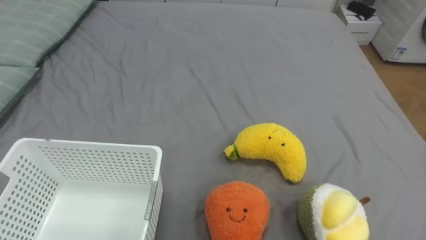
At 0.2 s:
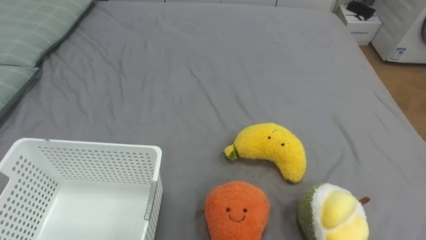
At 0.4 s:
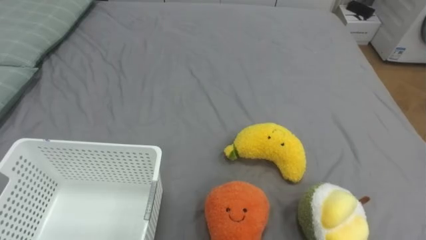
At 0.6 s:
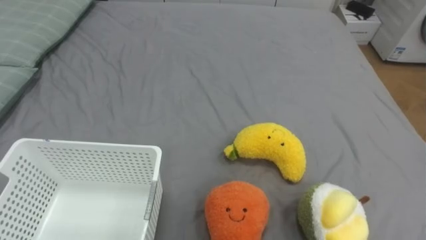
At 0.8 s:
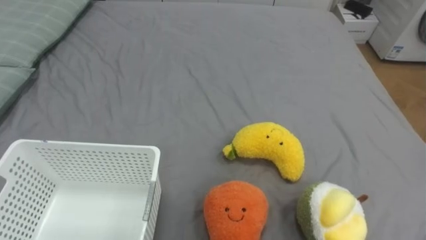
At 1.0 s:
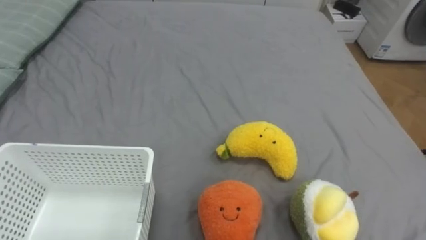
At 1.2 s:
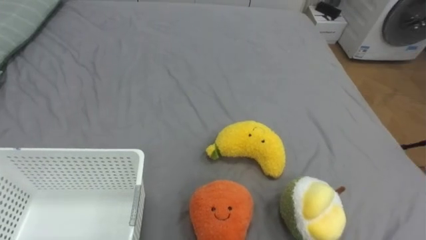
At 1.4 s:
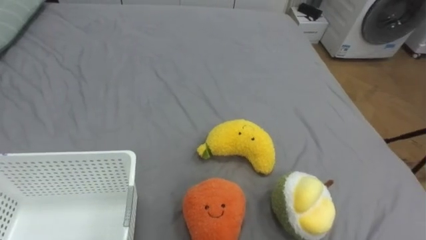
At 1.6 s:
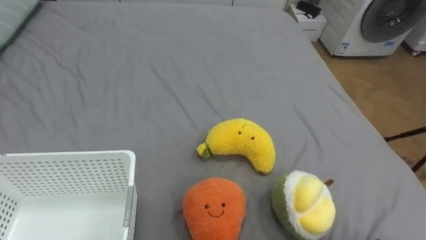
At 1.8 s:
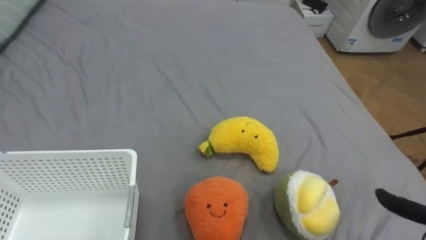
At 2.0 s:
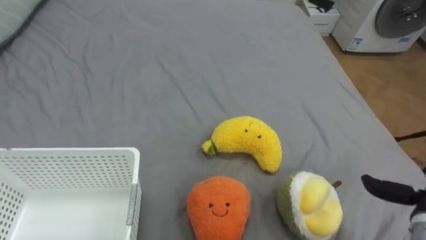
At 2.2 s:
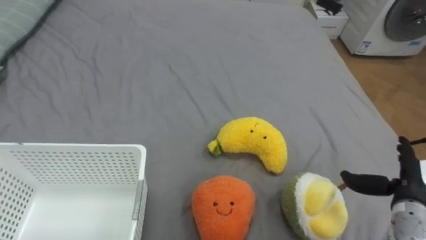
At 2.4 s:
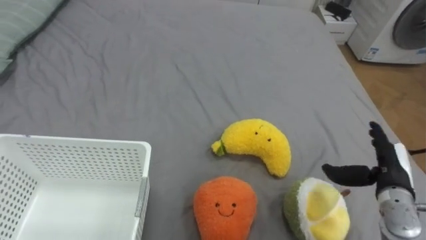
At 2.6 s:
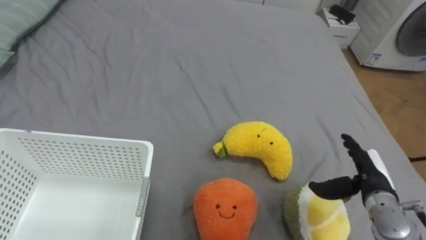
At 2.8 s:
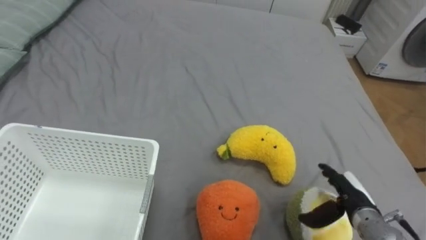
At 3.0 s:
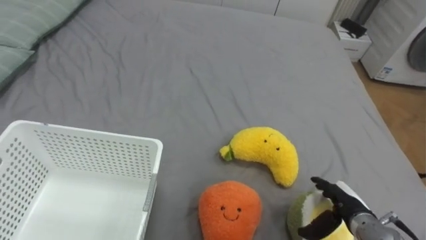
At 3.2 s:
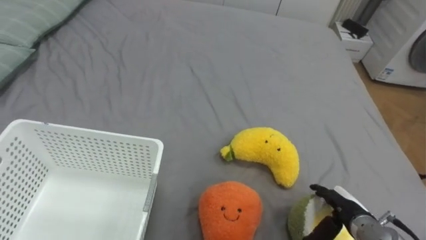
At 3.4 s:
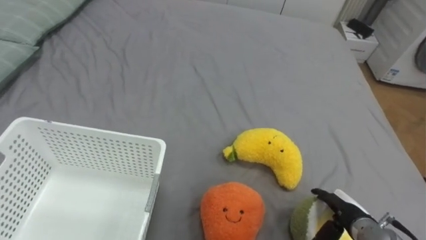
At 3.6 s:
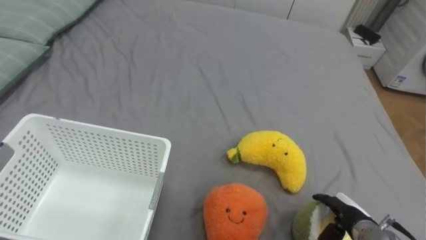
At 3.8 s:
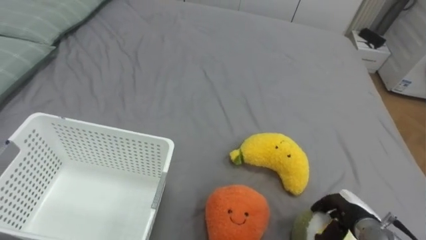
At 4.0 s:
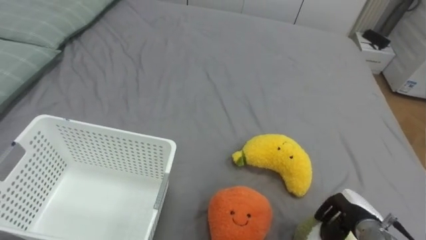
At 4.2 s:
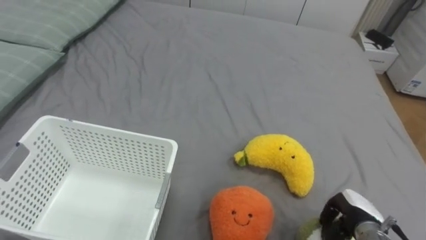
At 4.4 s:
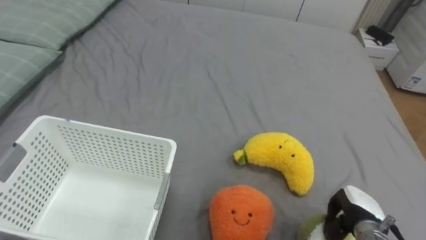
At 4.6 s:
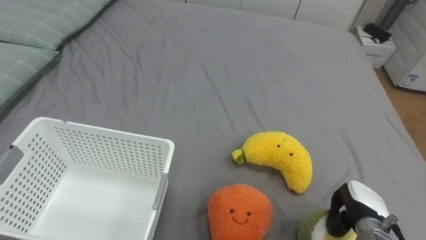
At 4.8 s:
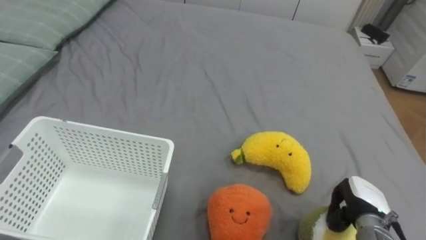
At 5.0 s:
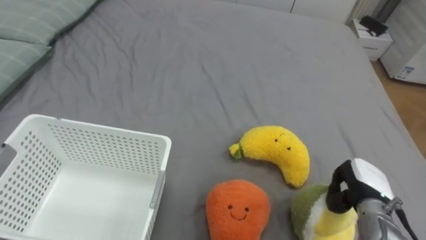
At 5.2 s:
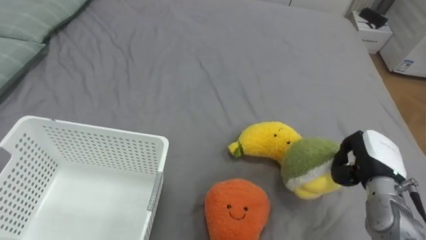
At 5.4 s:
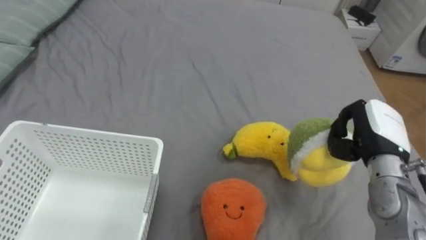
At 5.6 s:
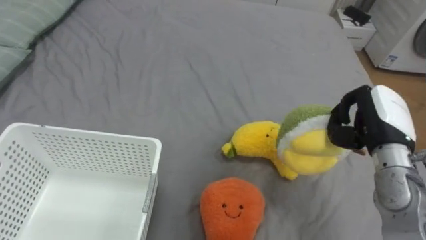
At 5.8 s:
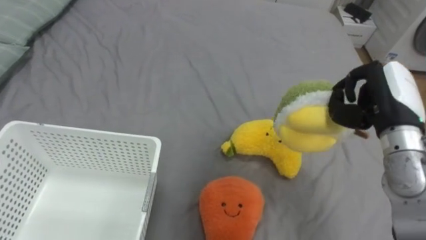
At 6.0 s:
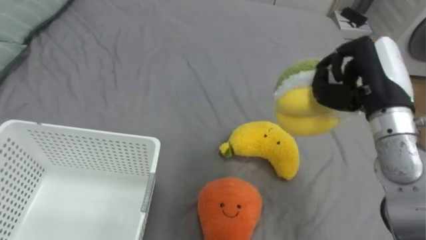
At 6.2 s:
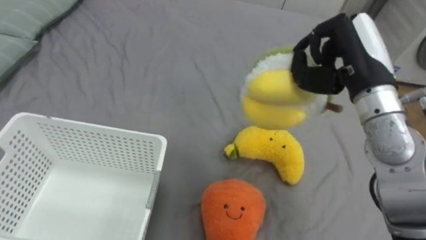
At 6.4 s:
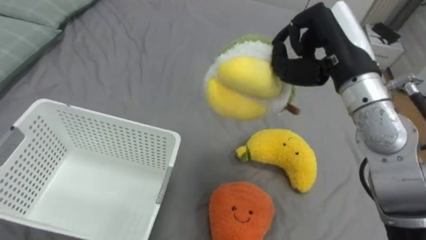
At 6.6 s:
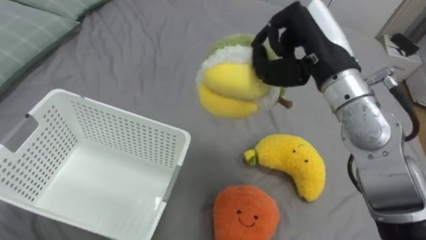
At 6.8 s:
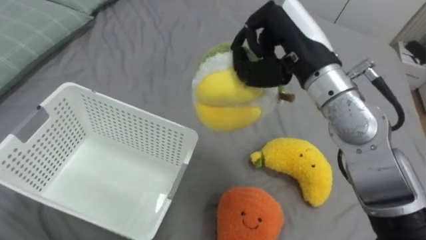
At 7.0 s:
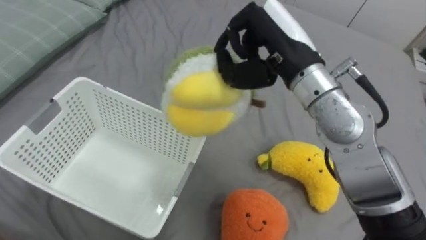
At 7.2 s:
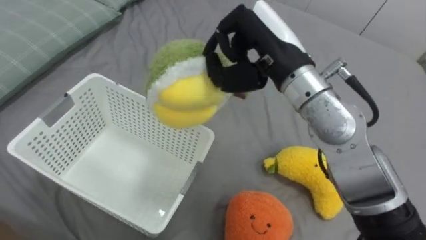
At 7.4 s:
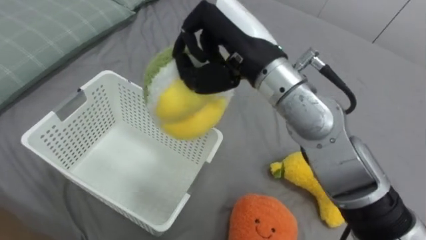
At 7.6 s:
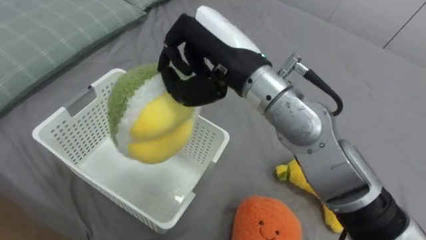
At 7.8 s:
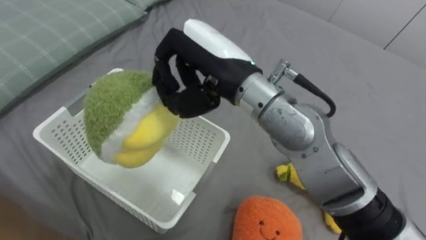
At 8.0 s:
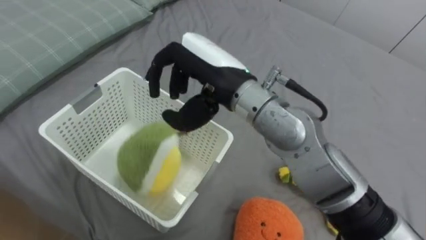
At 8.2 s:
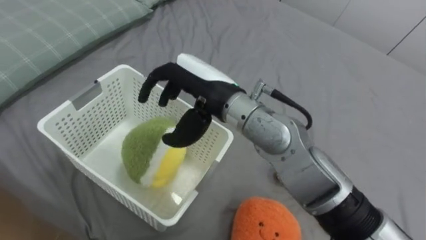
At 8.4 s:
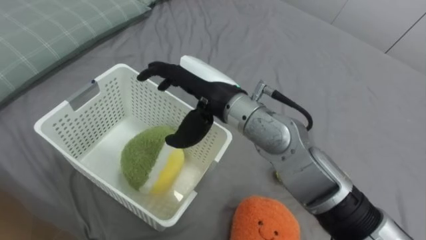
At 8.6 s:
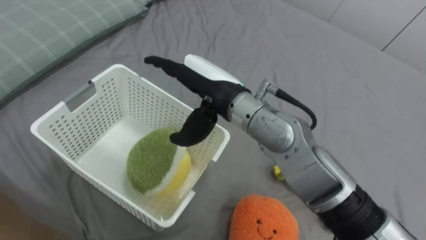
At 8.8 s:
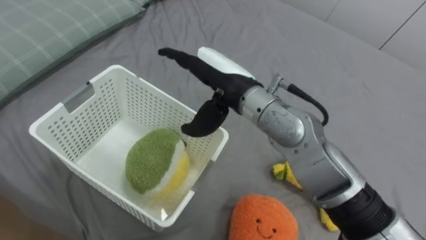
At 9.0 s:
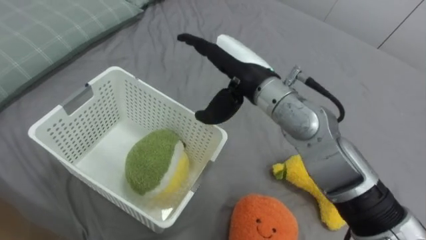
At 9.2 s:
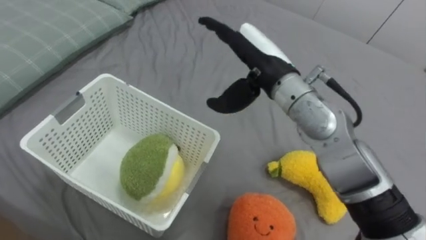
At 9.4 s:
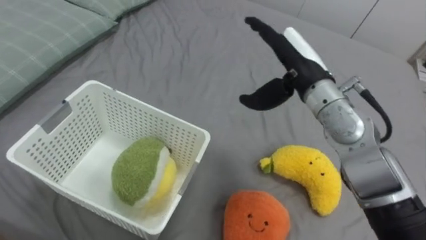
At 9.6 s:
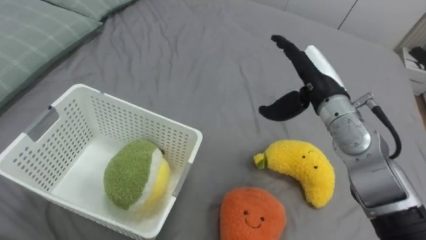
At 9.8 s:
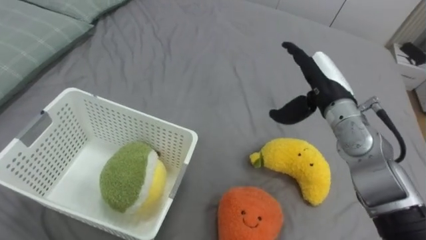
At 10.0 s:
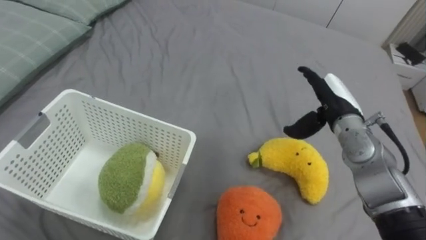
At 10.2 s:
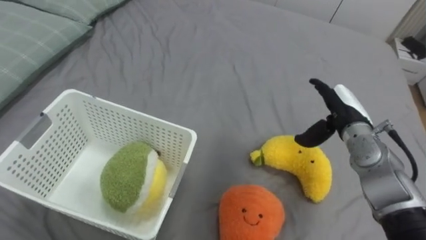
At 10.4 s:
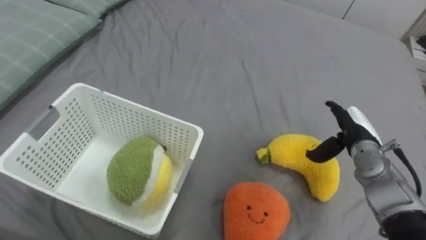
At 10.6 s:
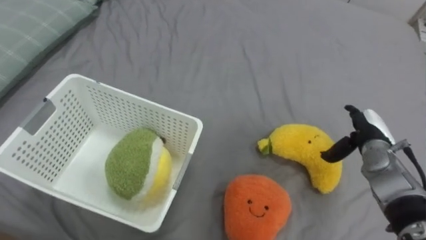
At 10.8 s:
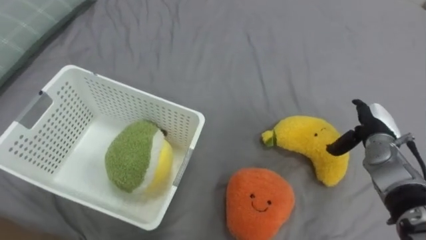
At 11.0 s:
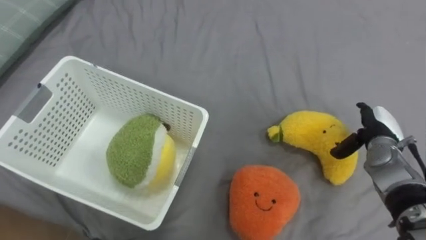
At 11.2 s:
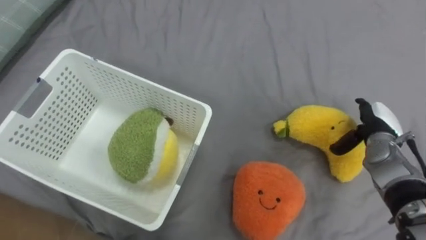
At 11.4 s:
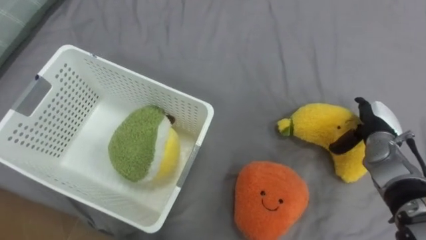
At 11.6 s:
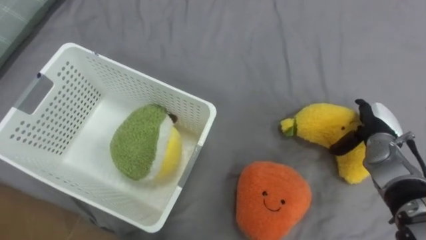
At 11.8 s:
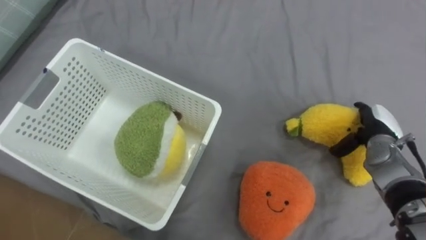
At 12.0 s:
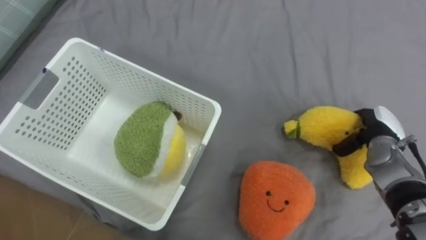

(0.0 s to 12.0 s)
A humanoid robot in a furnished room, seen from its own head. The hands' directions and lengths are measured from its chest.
Task of the whole recording: Put the toys on the bed into the basket on the left.
3.0 s - 4.4 s: The right hand closes its fingers.
4.4 s - 6.0 s: The right hand moves upward, approximately 25 cm.
6.0 s - 7.6 s: The right hand goes roughly 25 cm to the left.
7.6 s - 9.0 s: The right hand heads downward, covering some 5 cm, and opens its fingers.
9.0 s - 10.4 s: The right hand travels to the right and downward by some 30 cm.
10.4 s - 12.0 s: The right hand shifts roughly 5 cm to the right.

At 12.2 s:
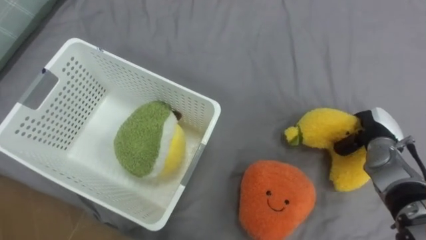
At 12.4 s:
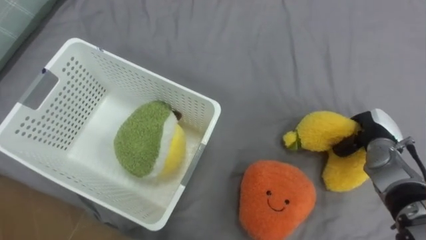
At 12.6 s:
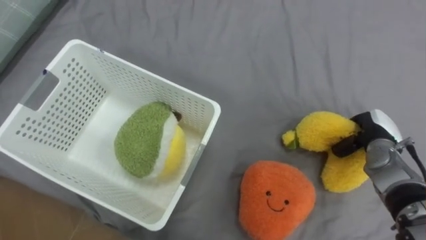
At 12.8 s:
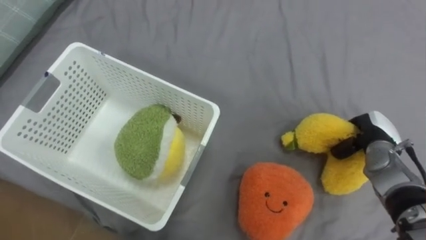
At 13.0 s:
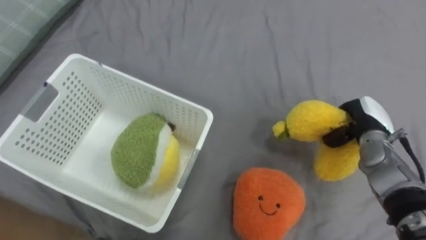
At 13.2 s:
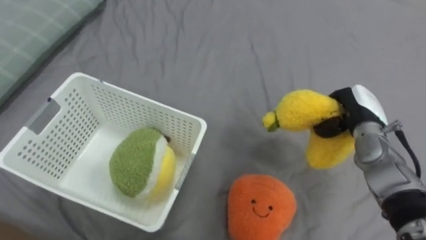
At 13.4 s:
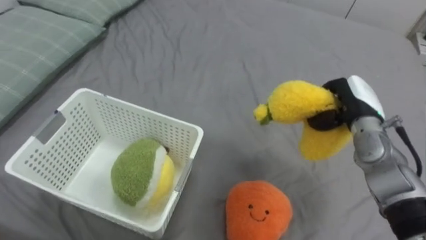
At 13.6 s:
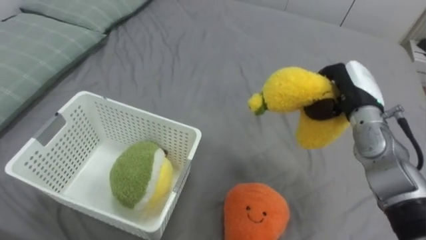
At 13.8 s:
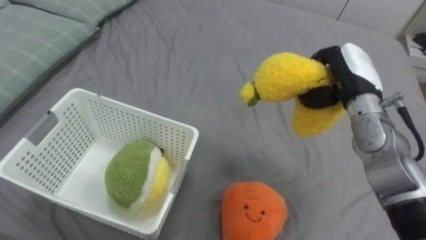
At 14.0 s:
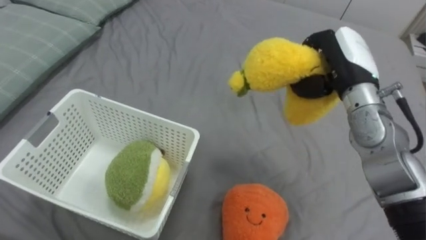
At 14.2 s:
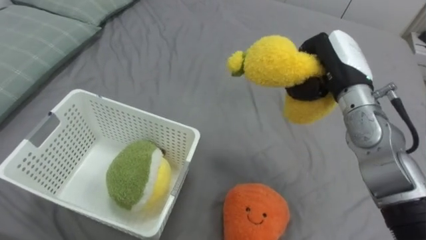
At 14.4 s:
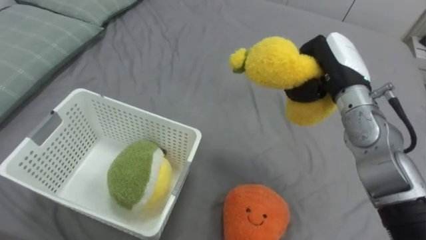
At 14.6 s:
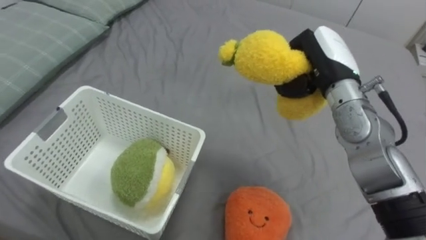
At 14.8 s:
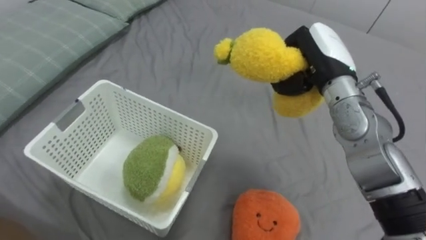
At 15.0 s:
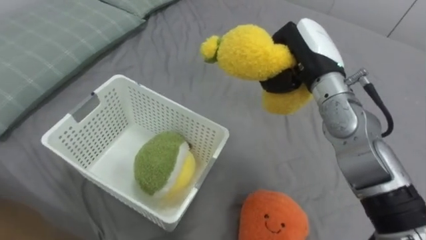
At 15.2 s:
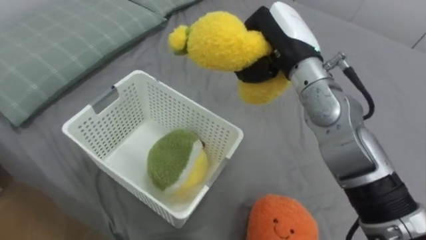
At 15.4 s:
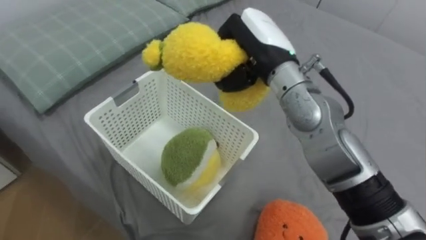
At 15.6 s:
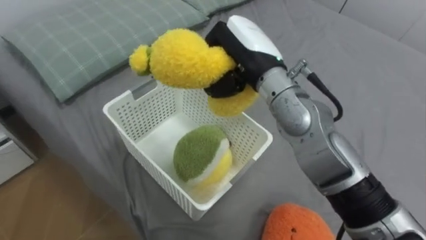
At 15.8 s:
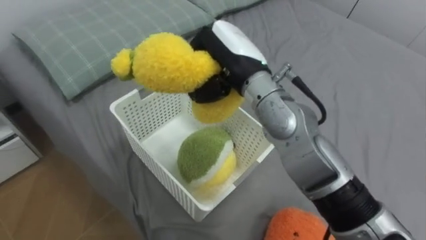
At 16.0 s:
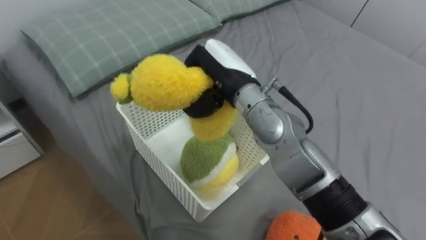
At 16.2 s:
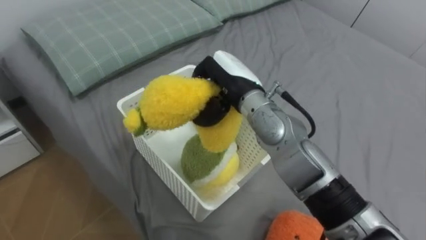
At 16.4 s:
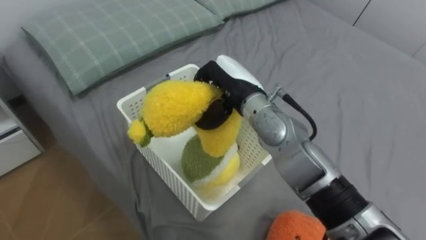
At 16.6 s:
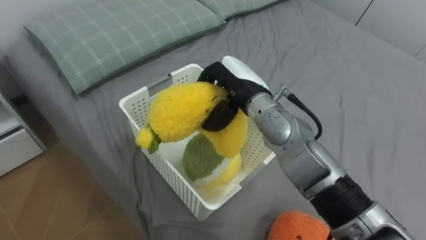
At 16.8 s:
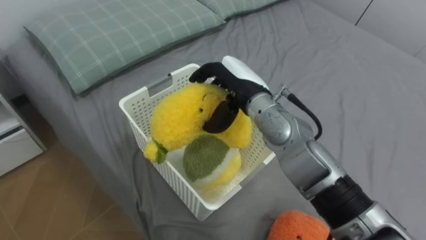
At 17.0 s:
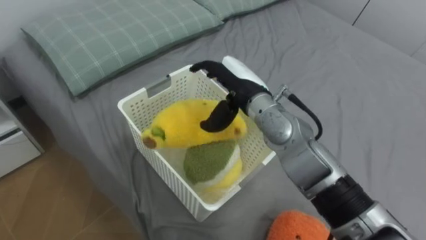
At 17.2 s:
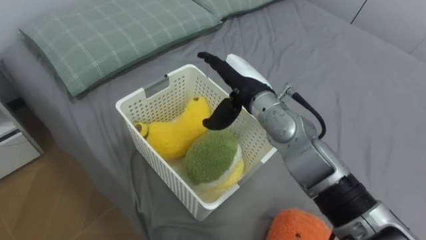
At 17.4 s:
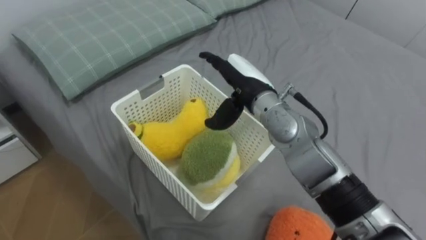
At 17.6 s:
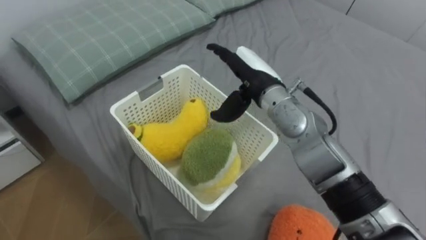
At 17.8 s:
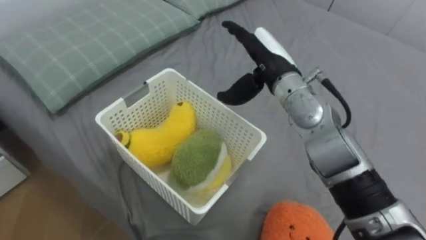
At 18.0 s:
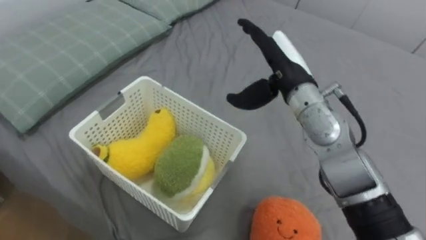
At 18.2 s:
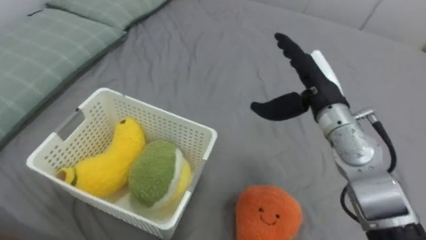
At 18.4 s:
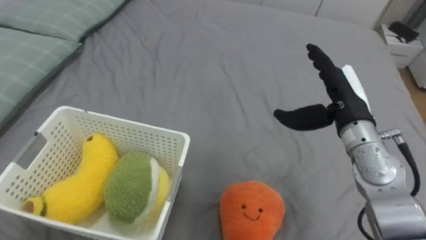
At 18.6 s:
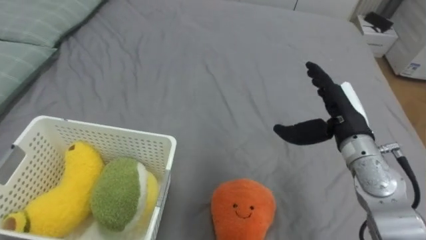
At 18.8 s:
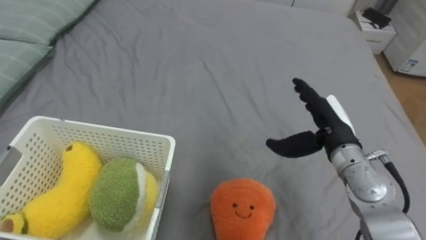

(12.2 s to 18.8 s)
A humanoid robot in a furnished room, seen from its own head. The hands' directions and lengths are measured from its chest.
Task of the whole recording: Put the toys on the bed into the basket on the left.
12.2 s - 13.8 s: The right hand heads upward and to the left, covering about 15 cm.
13.8 s - 15.4 s: The right hand moves to the left and upward, roughly 20 cm.
15.4 s - 17.2 s: The right hand goes roughly 10 cm downward, and opens its fingers.
17.2 s - 18.8 s: The right hand goes approximately 15 cm to the right.
